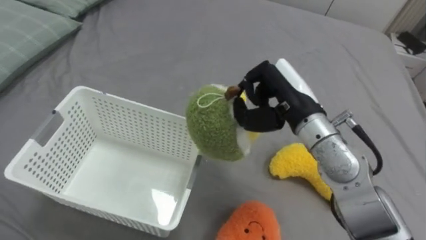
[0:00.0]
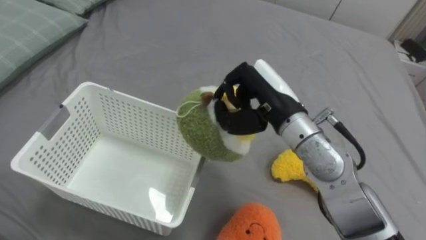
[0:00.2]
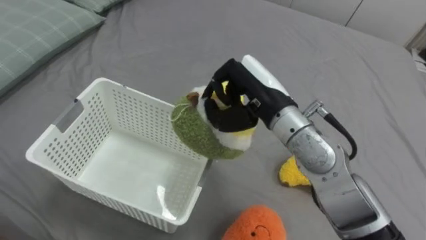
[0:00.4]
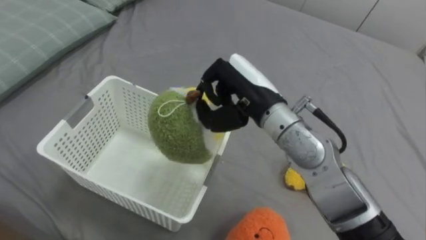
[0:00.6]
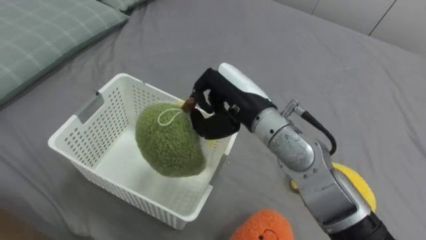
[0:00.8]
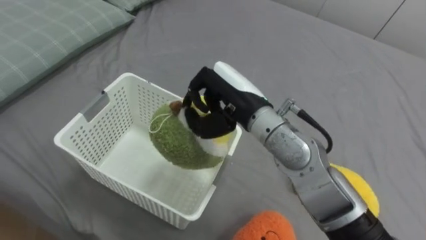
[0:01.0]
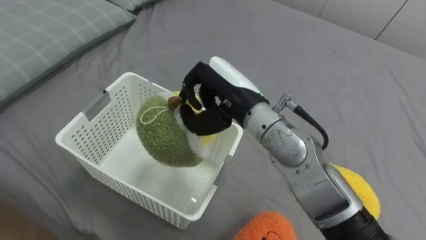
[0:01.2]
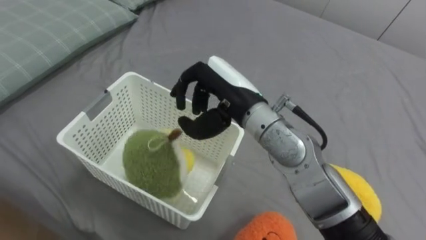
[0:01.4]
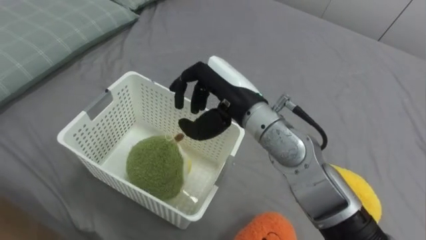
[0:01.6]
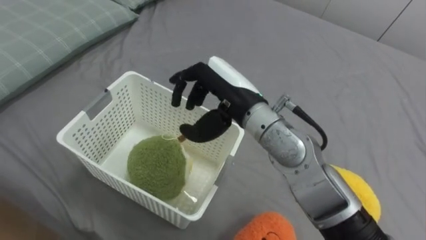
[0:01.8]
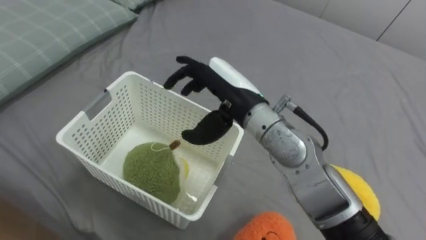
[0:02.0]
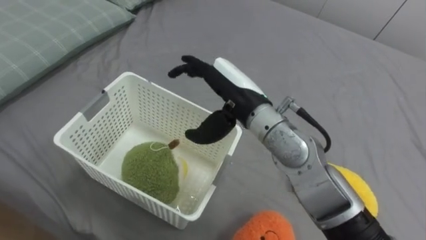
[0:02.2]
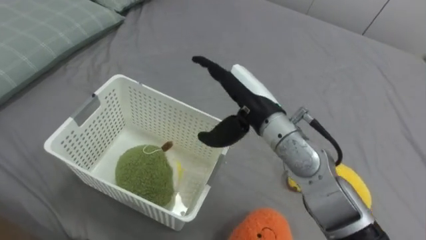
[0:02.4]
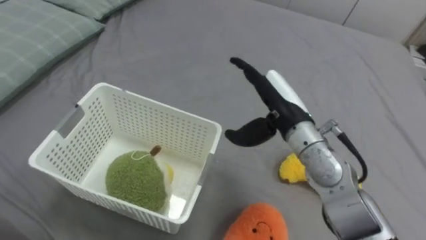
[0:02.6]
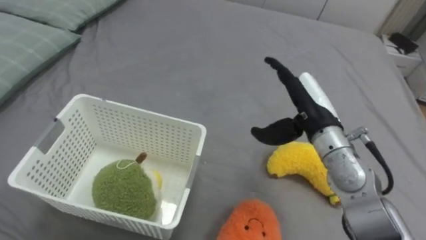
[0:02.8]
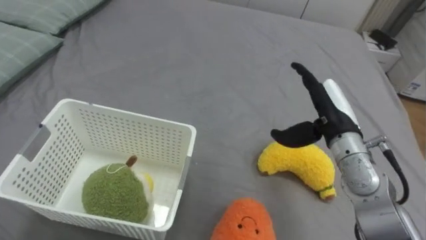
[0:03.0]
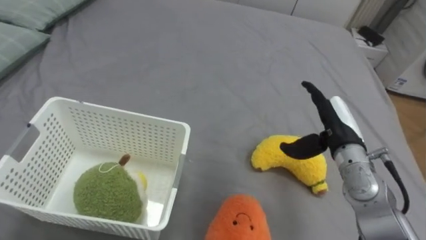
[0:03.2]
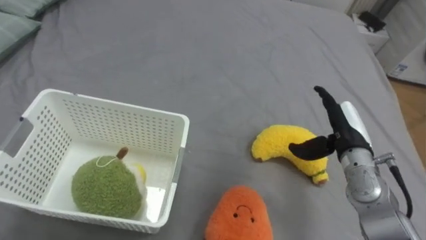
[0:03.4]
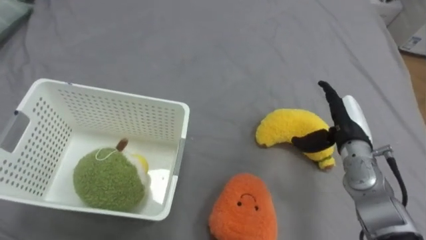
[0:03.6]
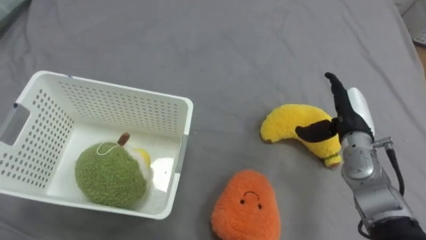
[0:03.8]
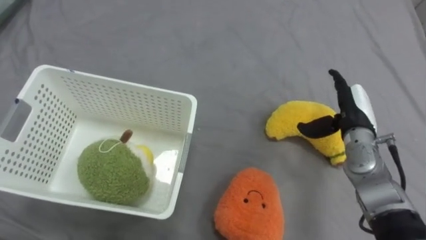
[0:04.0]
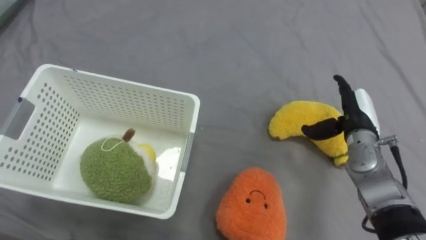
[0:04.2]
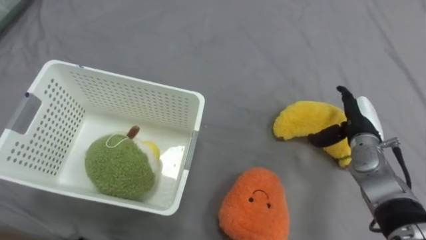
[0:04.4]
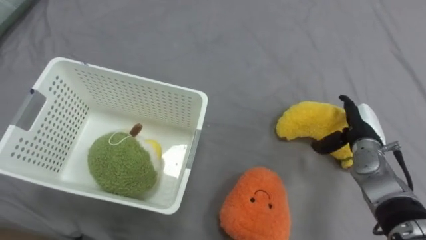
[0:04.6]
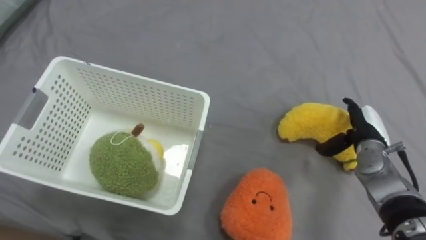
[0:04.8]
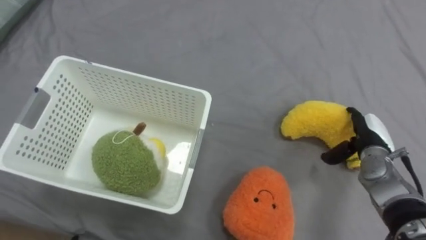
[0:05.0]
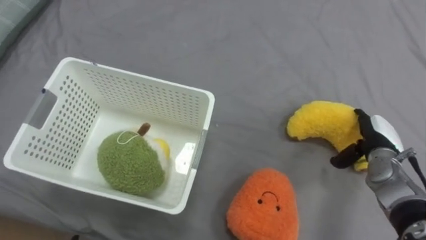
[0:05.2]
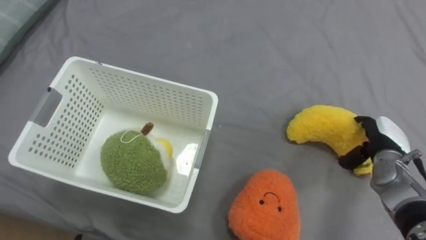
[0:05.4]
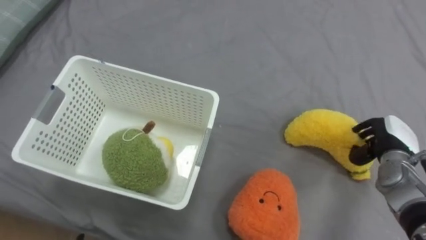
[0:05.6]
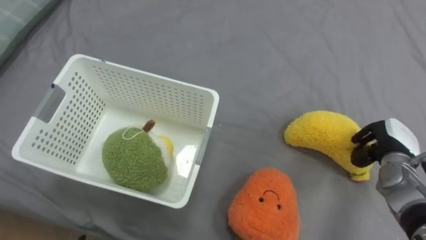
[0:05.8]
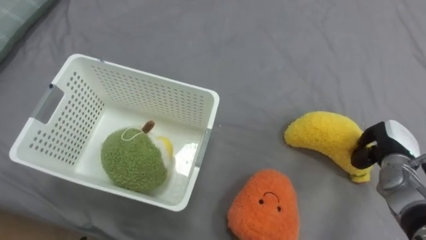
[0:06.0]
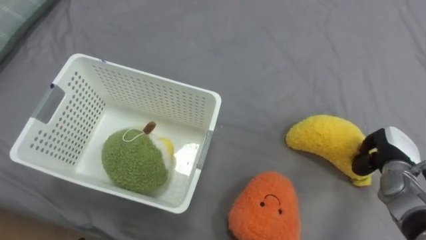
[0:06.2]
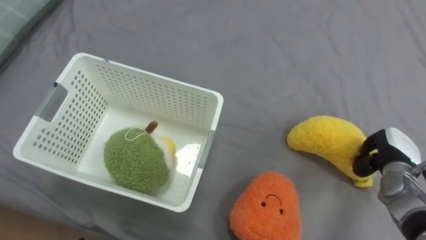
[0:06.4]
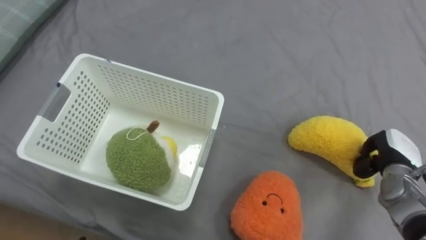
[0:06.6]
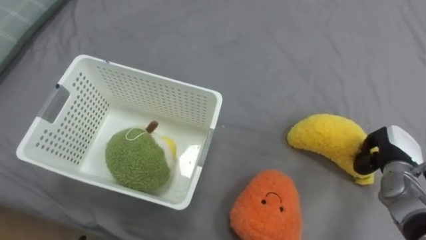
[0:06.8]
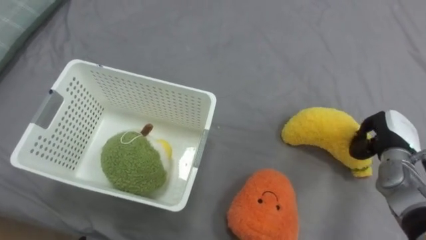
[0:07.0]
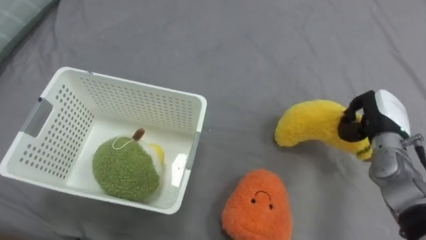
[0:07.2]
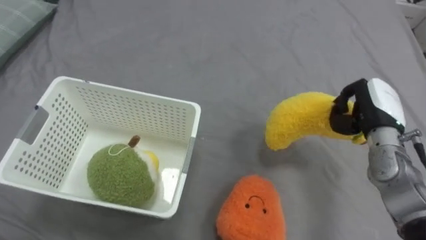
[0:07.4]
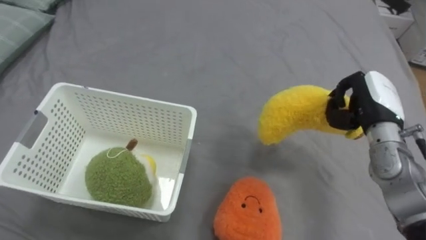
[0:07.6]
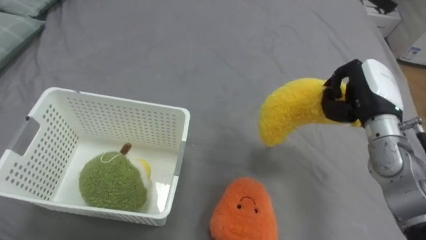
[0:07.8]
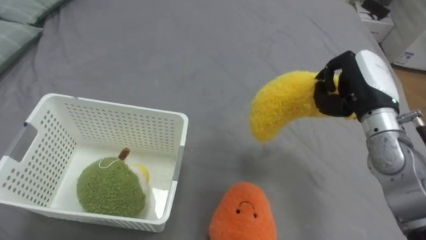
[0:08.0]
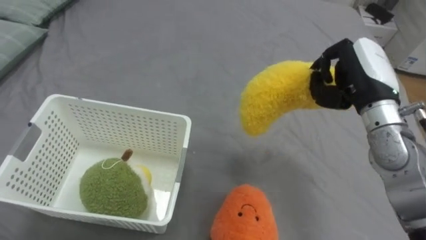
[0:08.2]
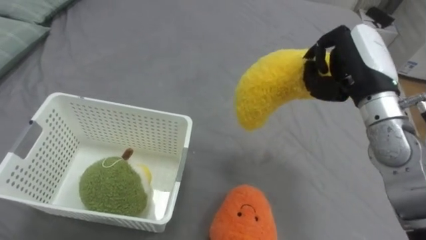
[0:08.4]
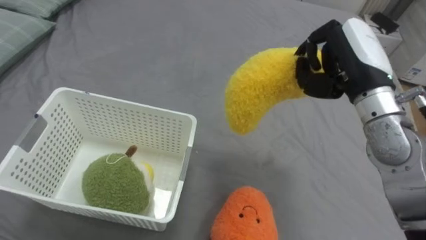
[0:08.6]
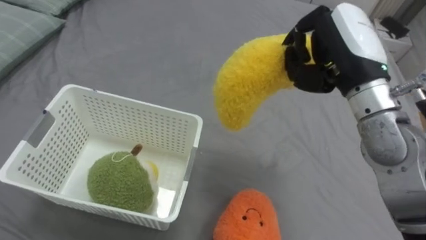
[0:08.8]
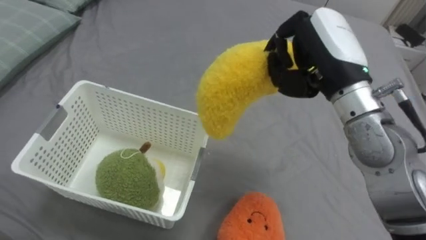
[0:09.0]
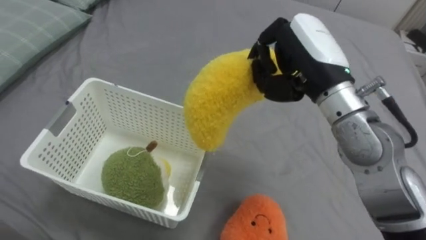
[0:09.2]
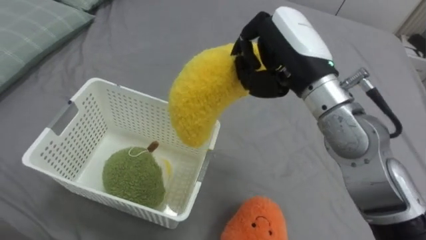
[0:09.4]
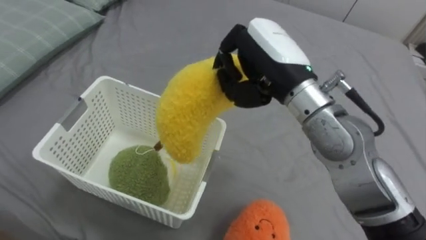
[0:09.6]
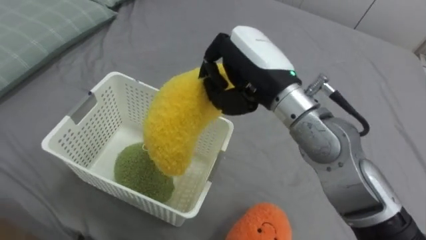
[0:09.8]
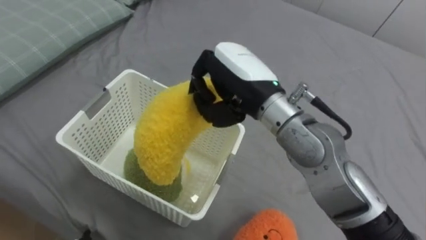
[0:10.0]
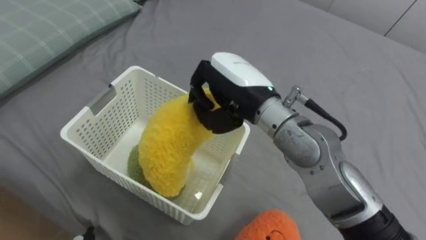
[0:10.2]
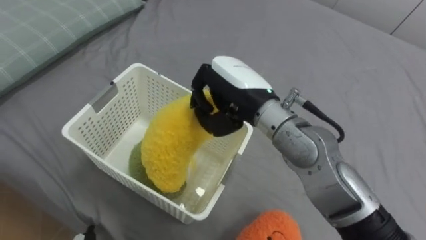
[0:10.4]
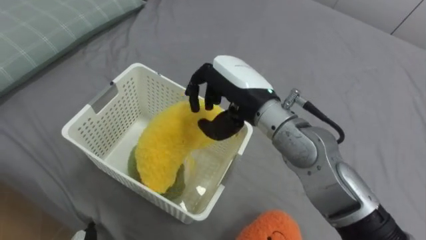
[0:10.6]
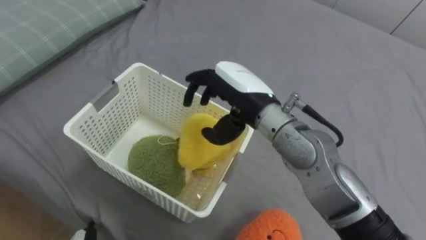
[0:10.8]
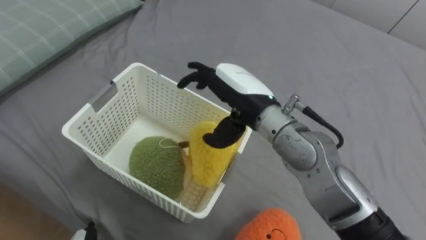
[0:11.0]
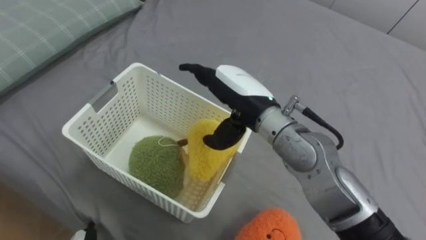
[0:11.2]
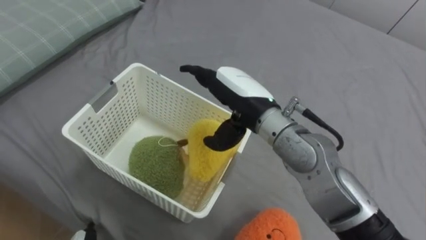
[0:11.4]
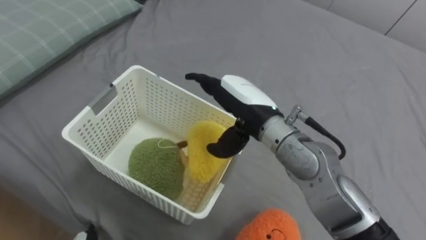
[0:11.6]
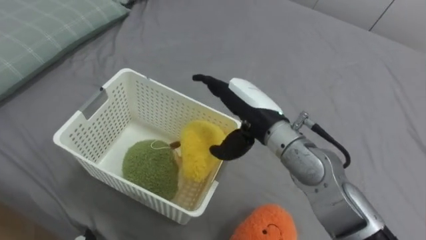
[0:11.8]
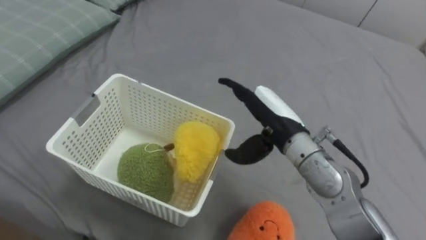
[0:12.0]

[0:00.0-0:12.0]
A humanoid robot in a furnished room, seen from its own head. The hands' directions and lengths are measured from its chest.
Task of the whole recording: Put the toys on the bed into the basket on the left.
0:00.0 to 0:01.6: The right hand moves to the left, approximately 10 cm.
0:01.6 to 0:03.0: The right hand goes roughly 20 cm to the right, and opens.
0:03.0 to 0:04.4: The right hand travels to the right and downward by some 10 cm.
0:04.4 to 0:06.0: The right hand is displaced to the right by roughly 5 cm, and closes its fingers.
0:06.0 to 0:07.6: The right hand moves upward and to the left, about 10 cm.
0:07.6 to 0:09.0: The right hand heads upward and to the left, covering about 20 cm.
0:09.0 to 0:10.4: The right hand heads to the left and downward, covering about 15 cm.
0:10.4 to 0:12.0: The right hand shifts some 10 cm to the right and downward, and opens its fingers.

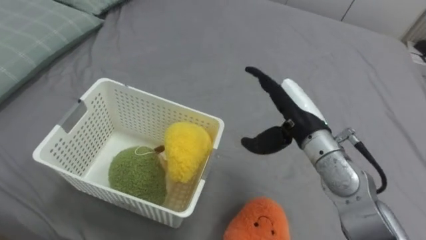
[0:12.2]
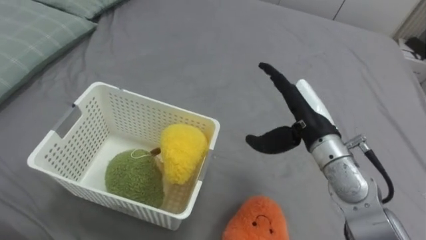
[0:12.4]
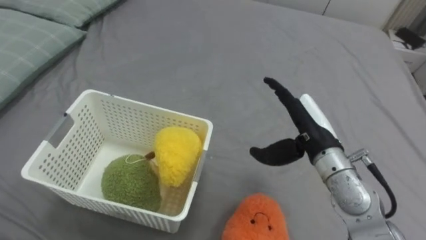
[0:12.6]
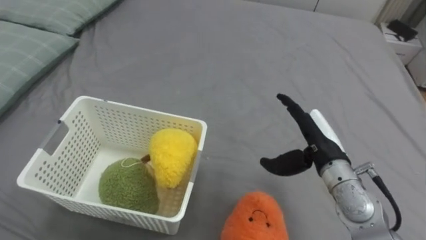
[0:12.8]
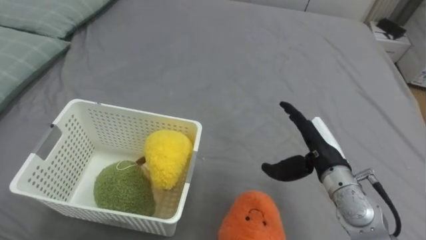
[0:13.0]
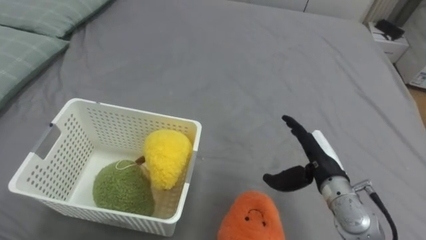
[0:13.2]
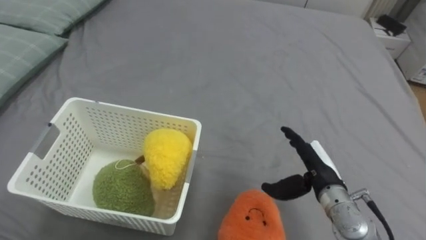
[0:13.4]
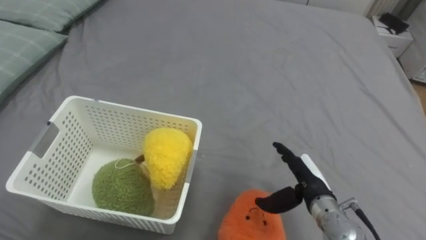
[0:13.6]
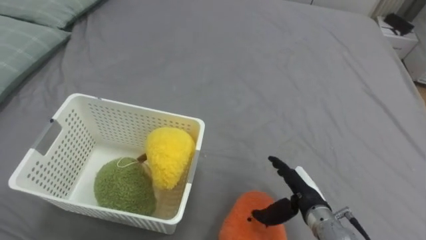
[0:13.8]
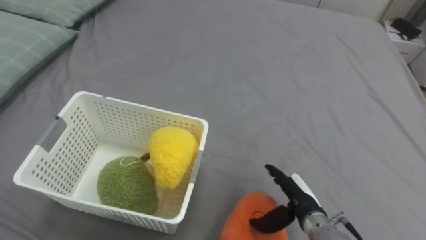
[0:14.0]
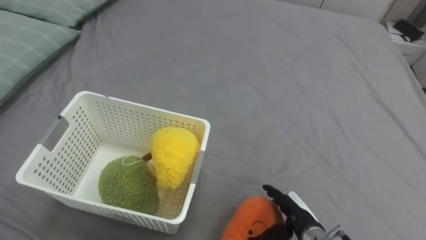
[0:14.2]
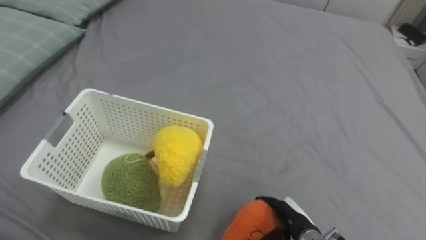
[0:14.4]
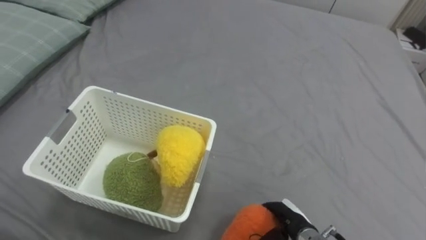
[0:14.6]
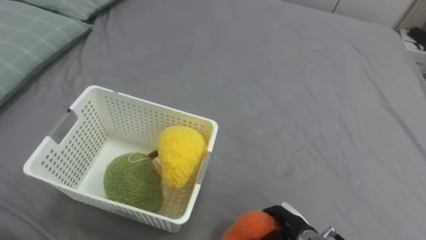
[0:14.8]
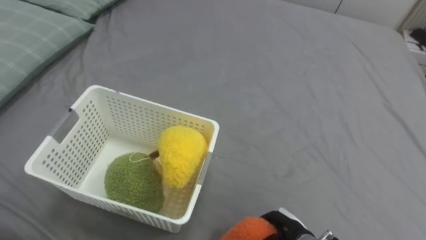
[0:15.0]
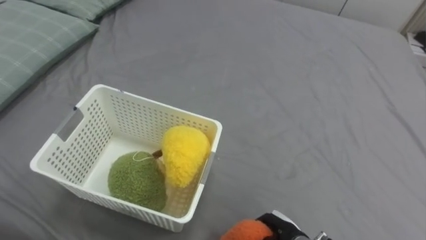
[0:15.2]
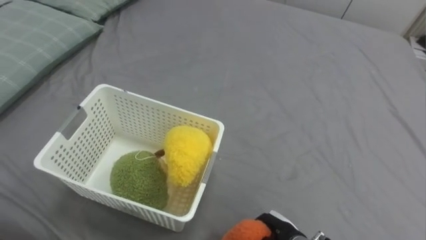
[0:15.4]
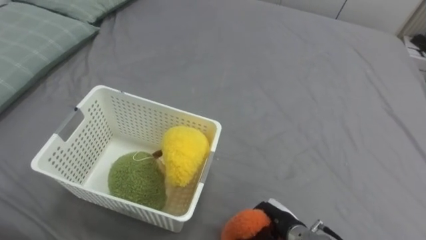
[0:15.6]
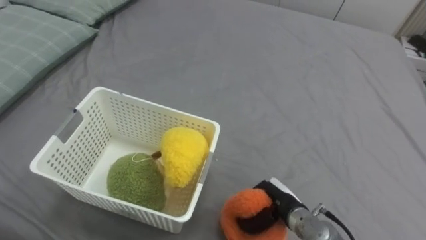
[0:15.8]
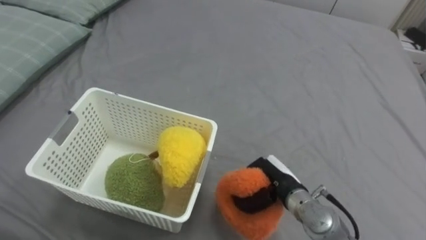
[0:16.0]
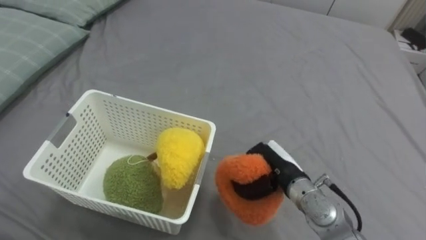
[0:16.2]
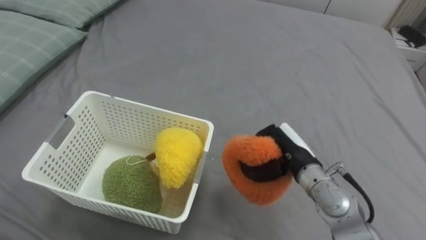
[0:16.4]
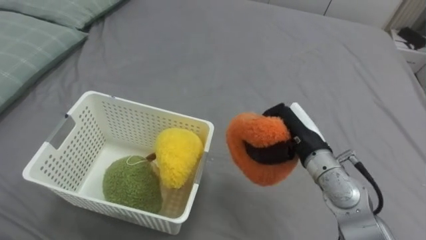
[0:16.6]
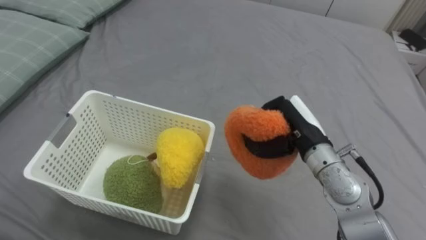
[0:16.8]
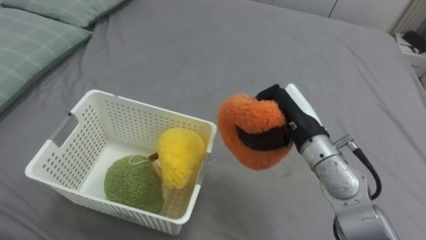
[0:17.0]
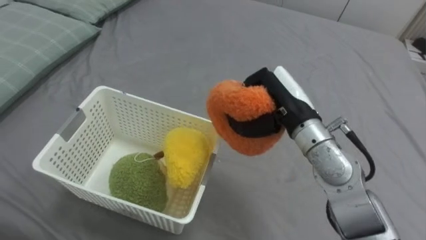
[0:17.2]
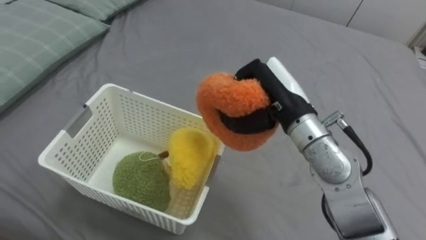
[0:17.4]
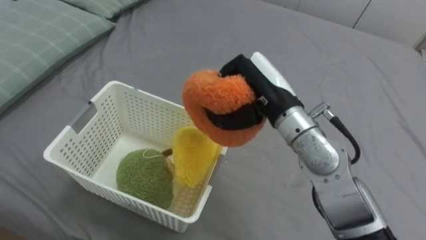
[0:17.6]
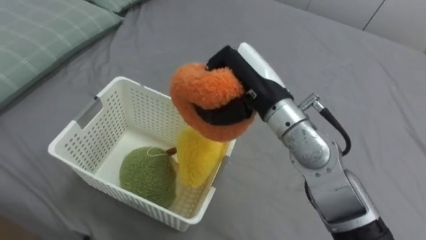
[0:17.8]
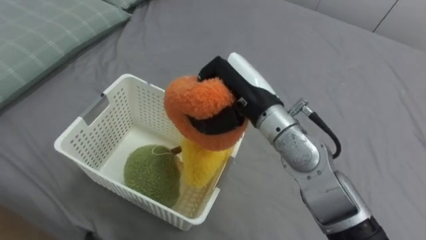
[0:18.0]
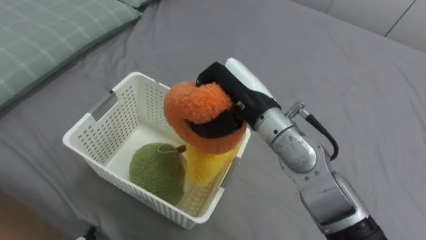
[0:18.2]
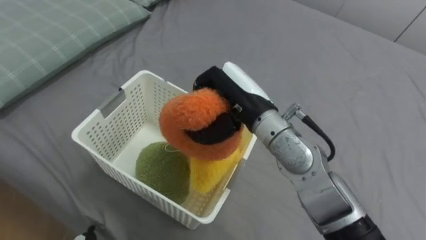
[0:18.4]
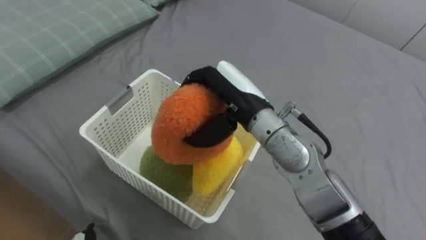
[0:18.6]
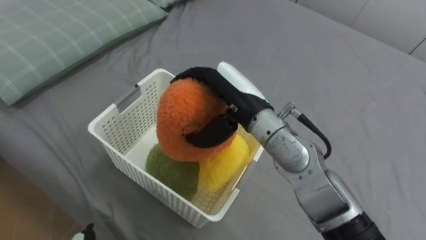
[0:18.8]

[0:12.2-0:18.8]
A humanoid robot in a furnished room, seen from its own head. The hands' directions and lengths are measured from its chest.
Task of the whole recording: Put the toys on the bed into the basket on the left.
0:12.2 to 0:13.8: The right hand heads downward and backward, covering some 20 cm.
0:13.8 to 0:15.4: The right hand shifts about 10 cm downward and backward, and closes its fingers.
0:15.4 to 0:17.2: The right hand moves upward and forward, about 30 cm.
0:17.2 to 0:18.8: The right hand is displaced to the left by about 10 cm, and opens its fingers.
